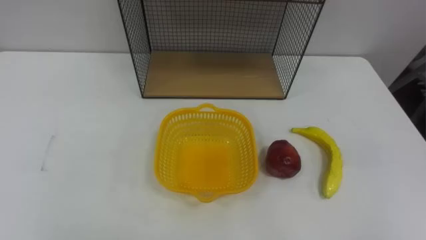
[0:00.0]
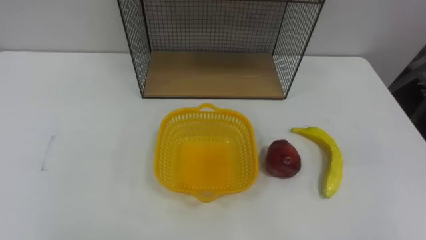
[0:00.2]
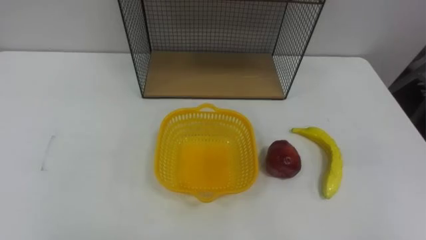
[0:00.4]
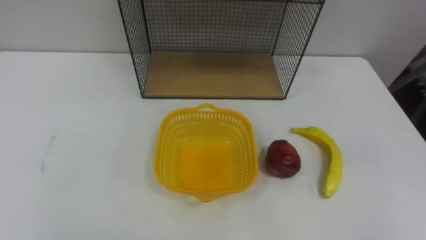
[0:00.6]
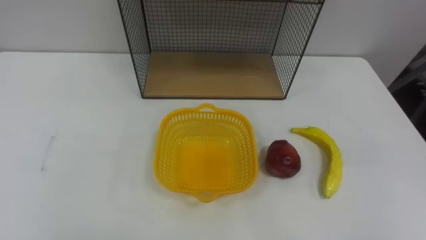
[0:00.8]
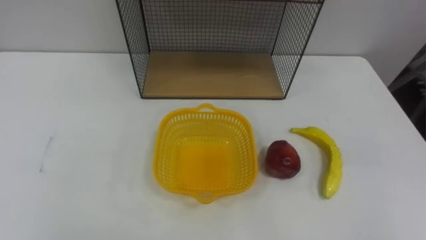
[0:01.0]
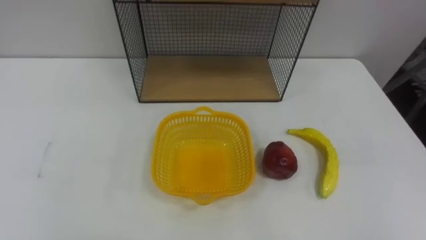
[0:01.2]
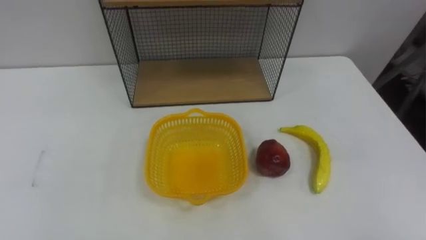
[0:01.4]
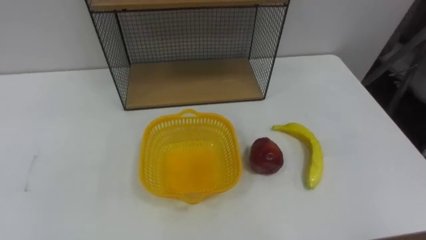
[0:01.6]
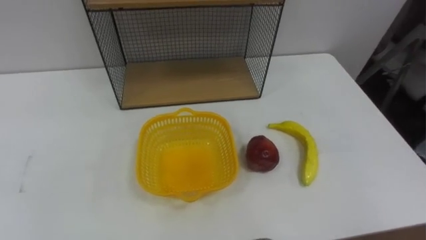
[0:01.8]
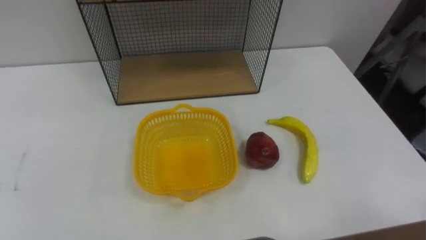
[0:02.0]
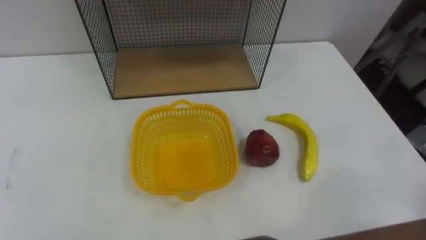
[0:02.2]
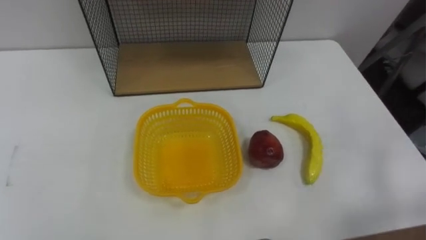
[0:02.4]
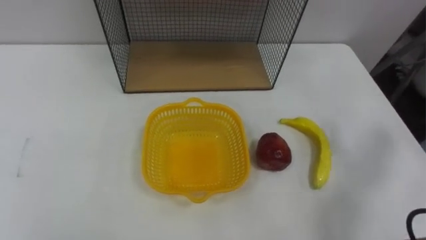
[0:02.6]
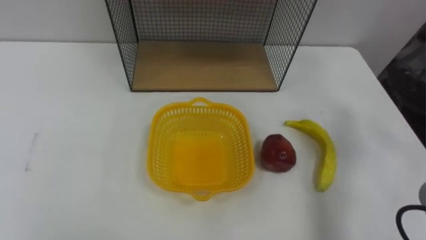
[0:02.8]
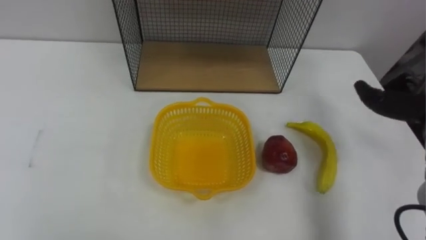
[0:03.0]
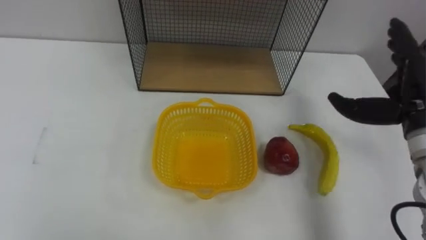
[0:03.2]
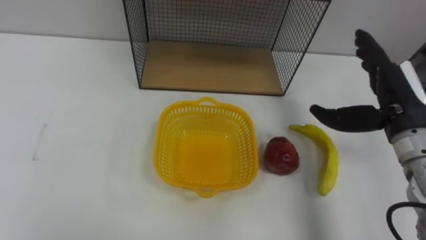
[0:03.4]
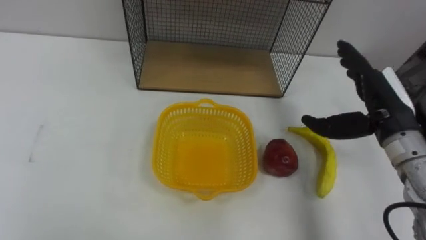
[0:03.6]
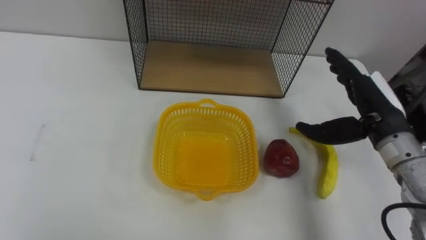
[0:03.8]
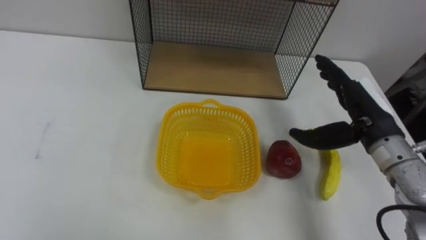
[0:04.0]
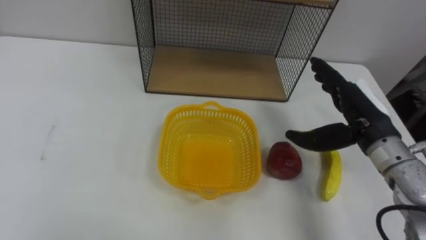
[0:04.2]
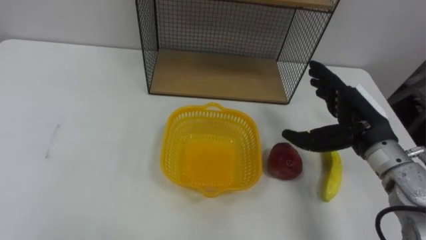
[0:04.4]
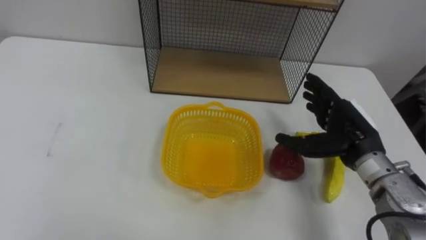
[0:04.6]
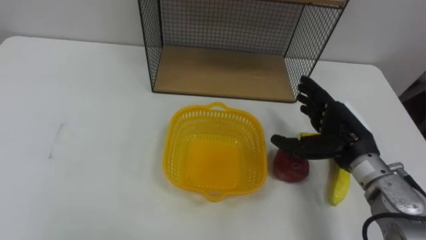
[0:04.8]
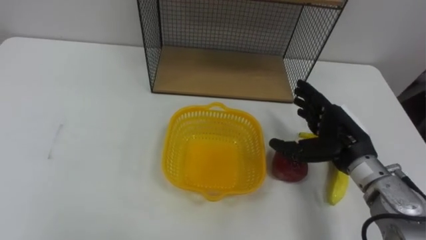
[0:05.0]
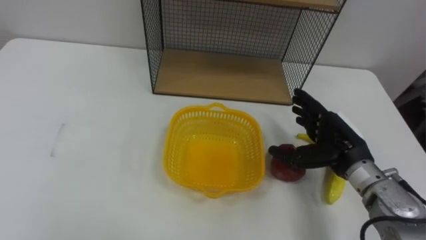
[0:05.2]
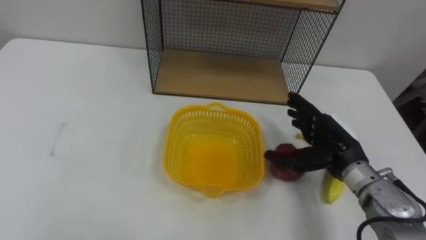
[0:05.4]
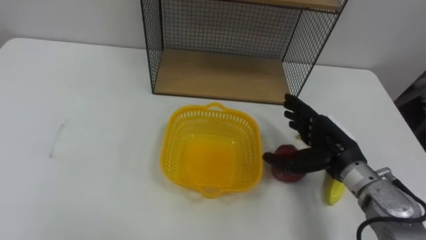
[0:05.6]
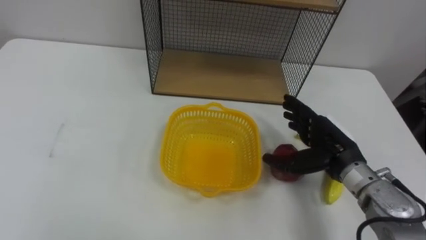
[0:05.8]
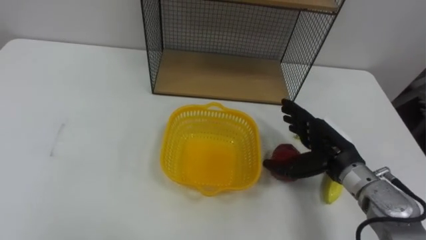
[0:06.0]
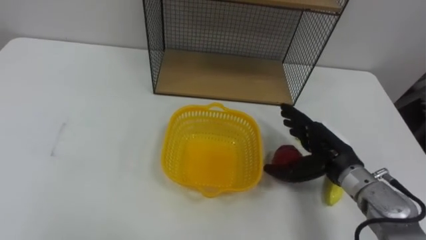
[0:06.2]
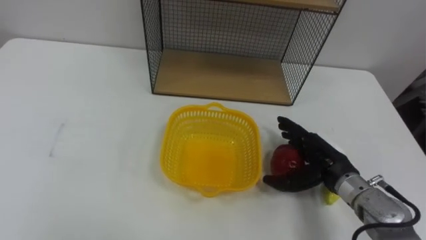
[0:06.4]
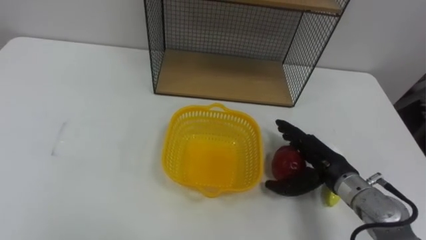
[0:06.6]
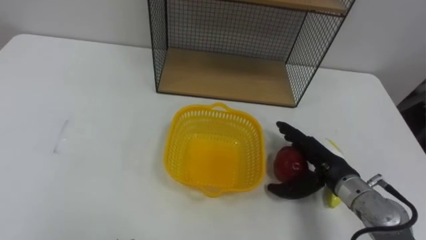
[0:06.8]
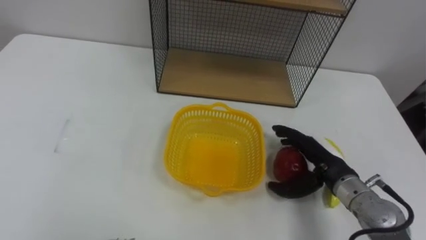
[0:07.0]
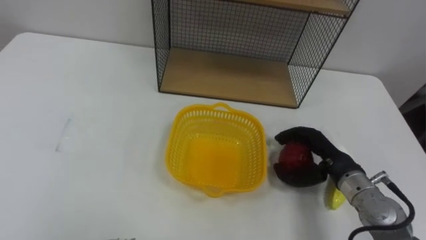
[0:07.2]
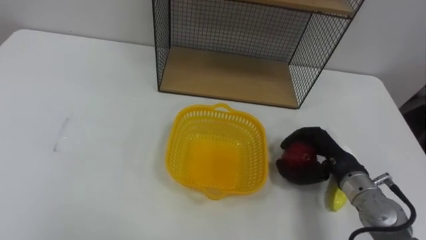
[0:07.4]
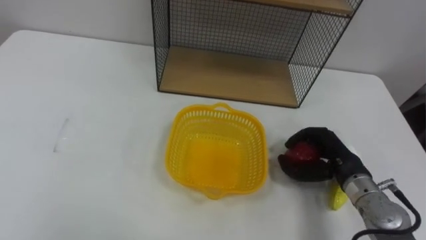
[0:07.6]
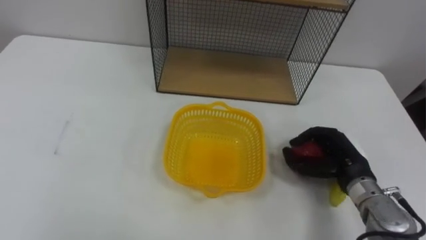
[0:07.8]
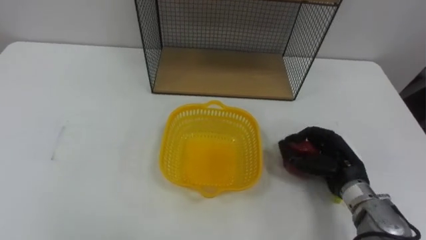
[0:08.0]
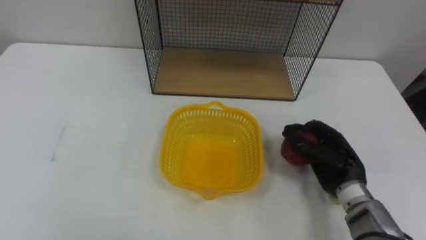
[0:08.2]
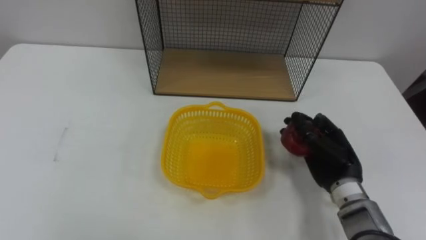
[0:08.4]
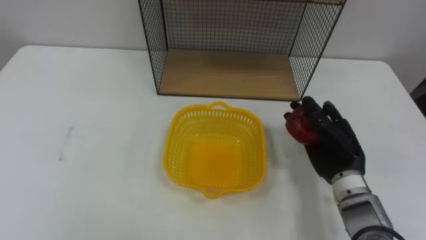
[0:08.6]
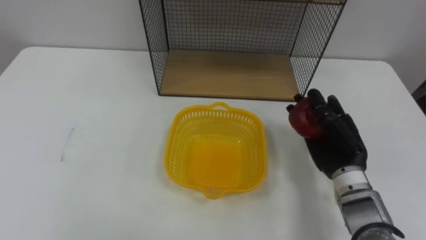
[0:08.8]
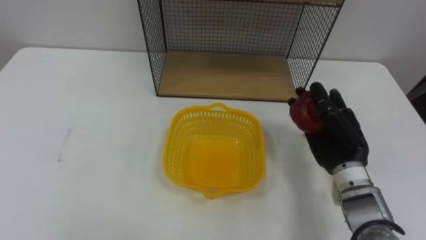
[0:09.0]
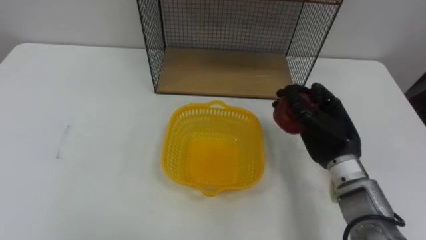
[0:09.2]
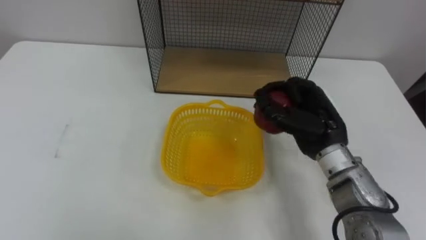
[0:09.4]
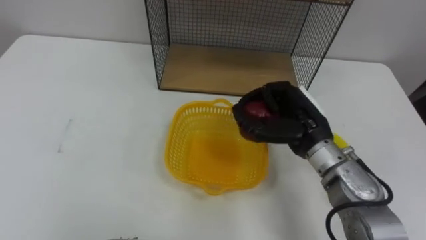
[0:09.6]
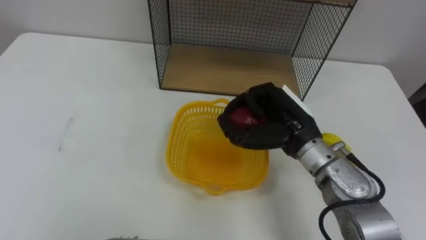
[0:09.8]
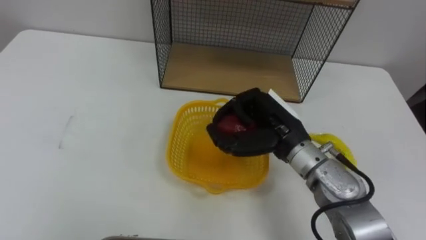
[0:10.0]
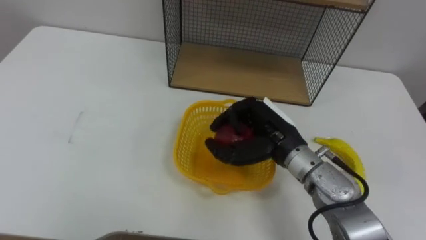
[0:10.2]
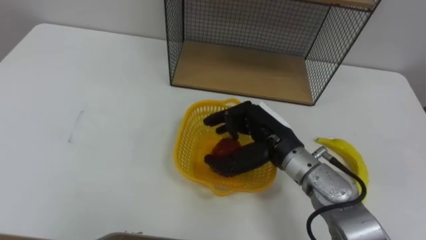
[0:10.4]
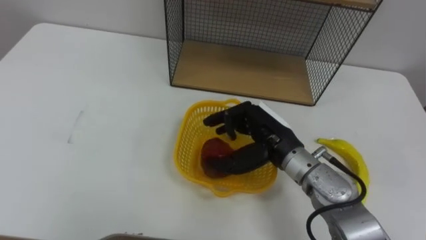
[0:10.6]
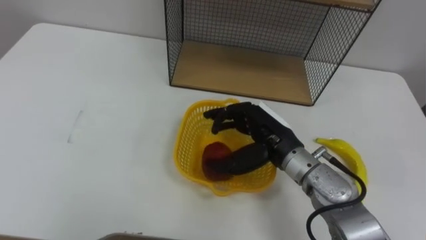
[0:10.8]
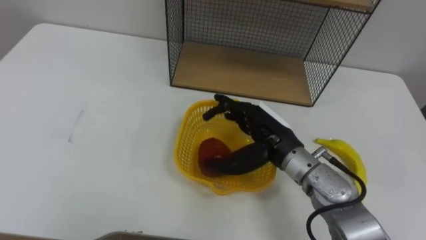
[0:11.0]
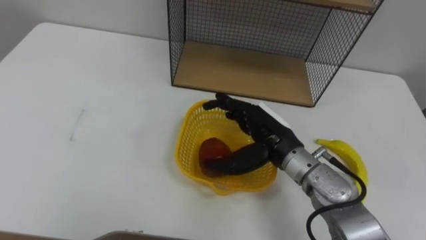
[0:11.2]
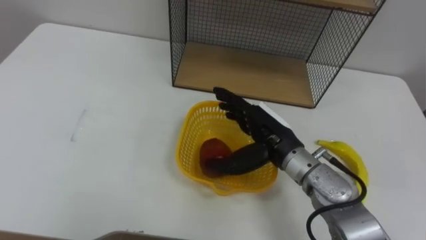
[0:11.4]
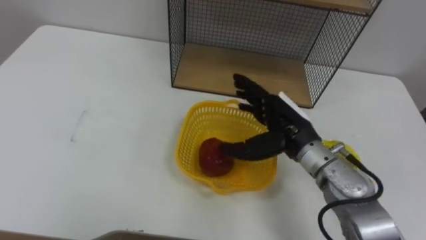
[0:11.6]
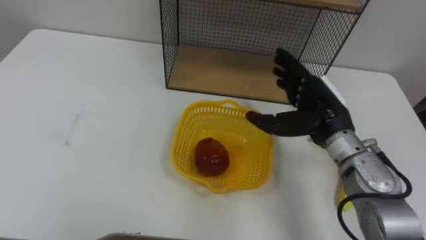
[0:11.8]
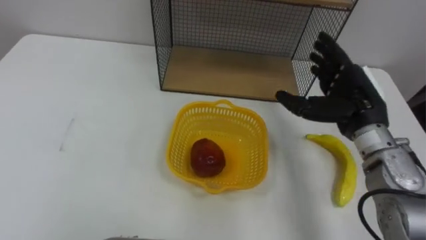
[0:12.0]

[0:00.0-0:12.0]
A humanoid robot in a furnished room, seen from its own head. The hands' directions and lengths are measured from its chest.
Task of the whole recording: Put the fruit on the table into the basket, then place the basket on the shelf.
0:04.4 to 0:06.0: The right hand heads downward, covering about 5 cm.
0:06.0 to 0:07.6: The right hand closes its fingers.
0:07.6 to 0:09.0: The right hand heads upward, covering some 5 cm.
0:09.0 to 0:10.4: The right hand heads to the left, covering approximately 10 cm.
0:10.4 to 0:12.0: The right hand moves to the right, about 15 cm, and opens up.

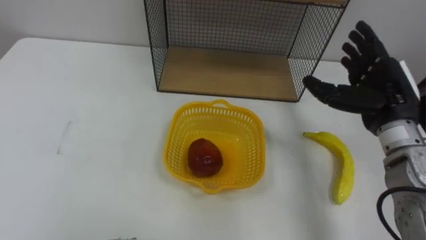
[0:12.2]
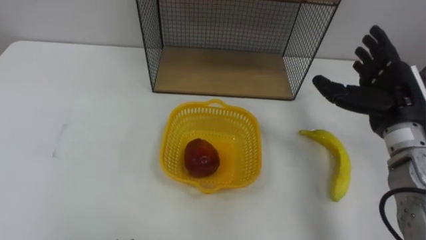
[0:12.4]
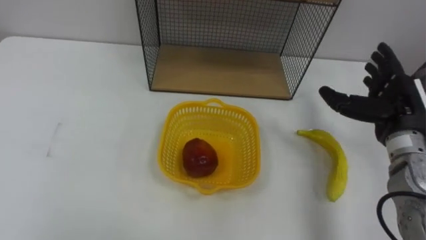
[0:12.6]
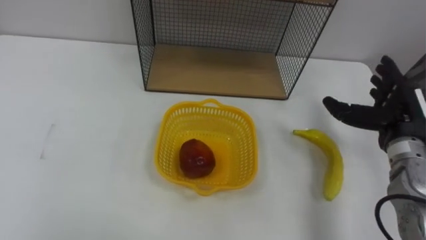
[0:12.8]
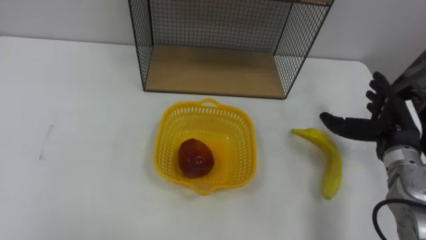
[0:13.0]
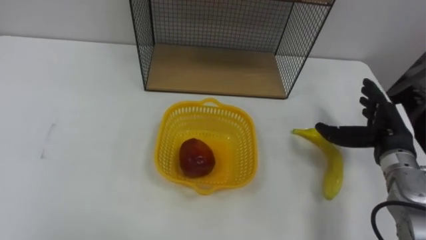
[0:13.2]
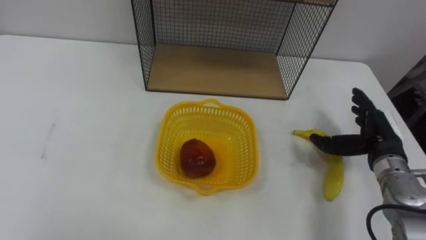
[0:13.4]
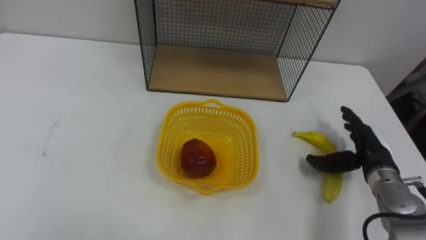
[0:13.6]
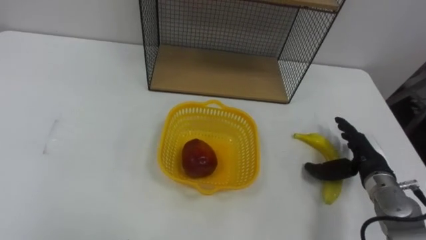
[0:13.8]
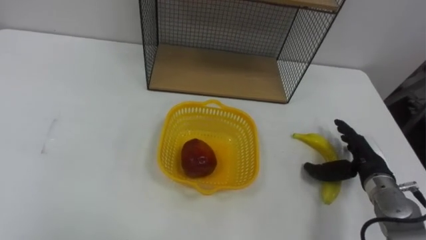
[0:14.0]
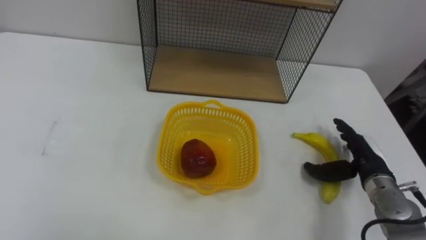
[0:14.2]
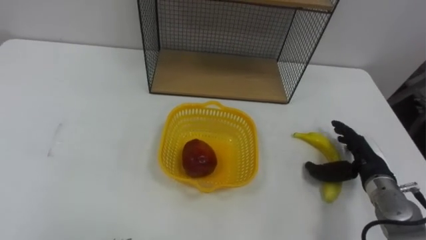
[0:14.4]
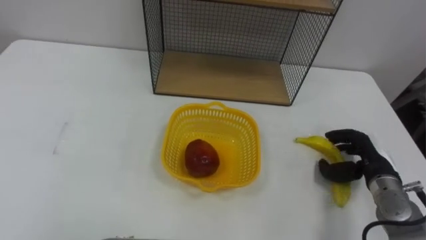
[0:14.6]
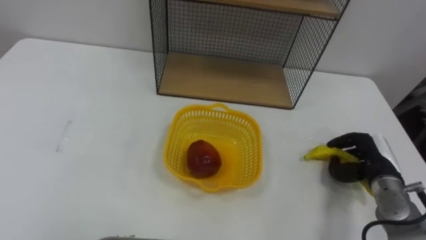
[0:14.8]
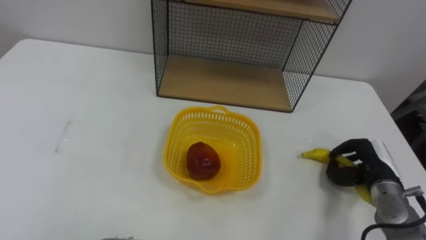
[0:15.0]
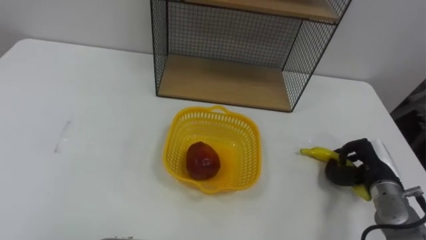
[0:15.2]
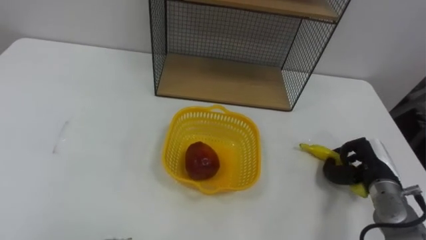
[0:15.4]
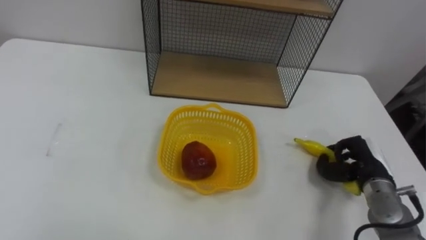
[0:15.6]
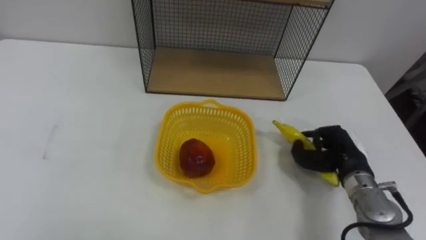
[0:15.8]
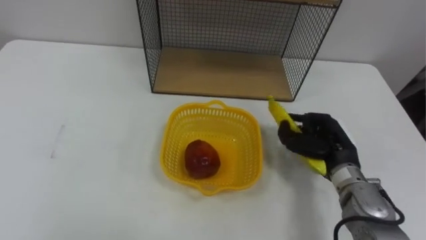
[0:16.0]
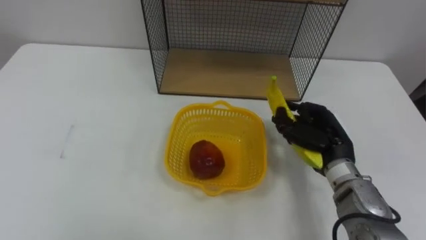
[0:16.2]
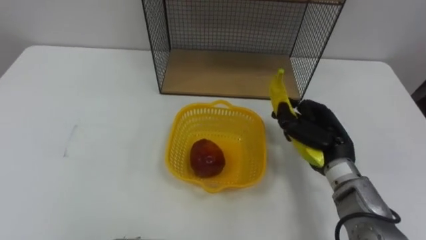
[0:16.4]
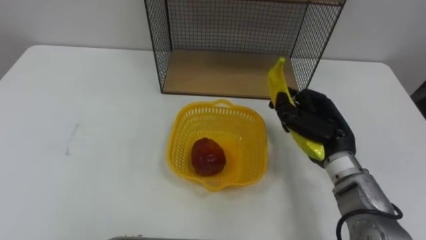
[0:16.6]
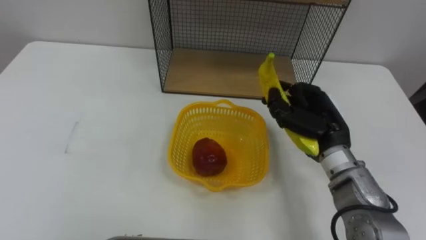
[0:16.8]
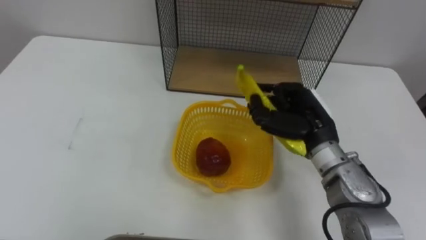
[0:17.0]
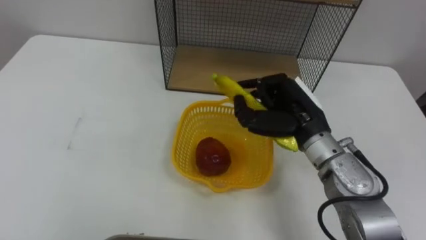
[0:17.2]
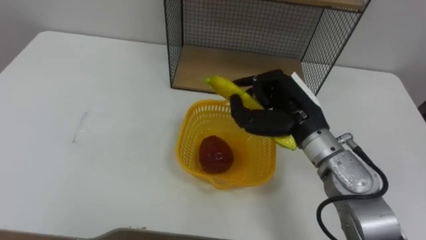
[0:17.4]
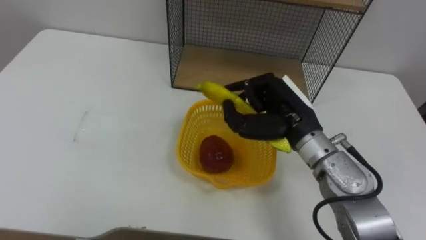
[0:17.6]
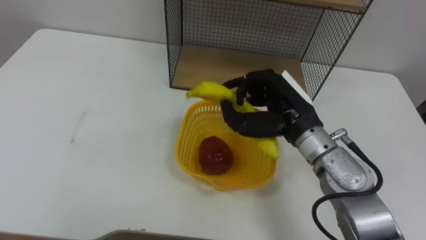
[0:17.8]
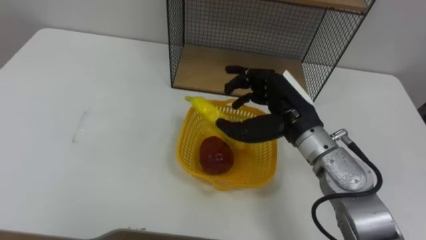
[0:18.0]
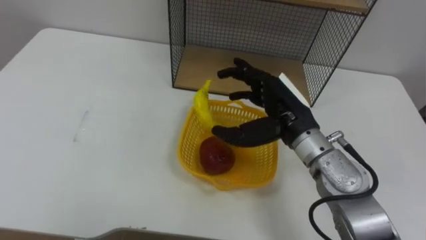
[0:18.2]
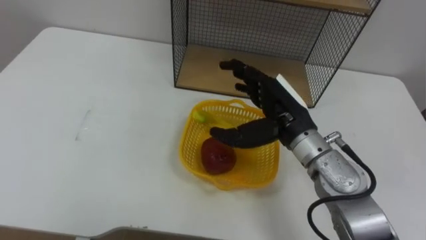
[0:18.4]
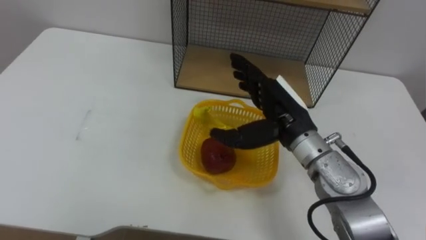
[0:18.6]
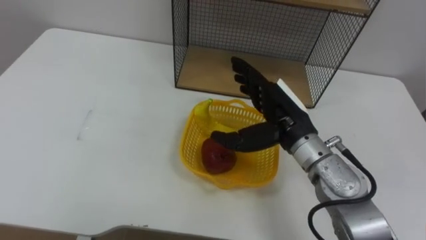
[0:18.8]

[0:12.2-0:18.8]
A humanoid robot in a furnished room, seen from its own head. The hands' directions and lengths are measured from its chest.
Task of the whole recording: Put the fruit on the table into the basket, then place the basket on the shelf.
0:12.2 to 0:13.8: The right hand goes approximately 15 cm downward.
0:13.8 to 0:15.4: The right hand closes its fingers.
0:15.4 to 0:17.2: The right hand is displaced to the left and upward by some 20 cm.
0:17.2 to 0:18.8: The right hand opens its fingers.
